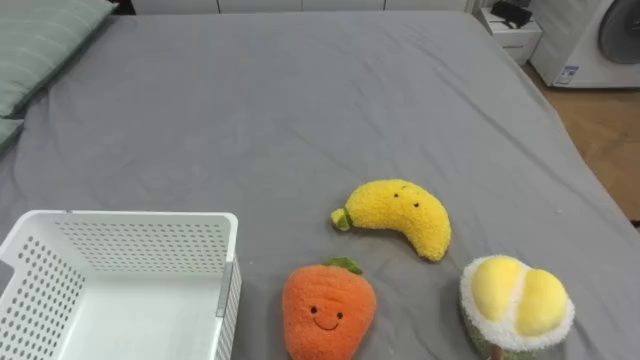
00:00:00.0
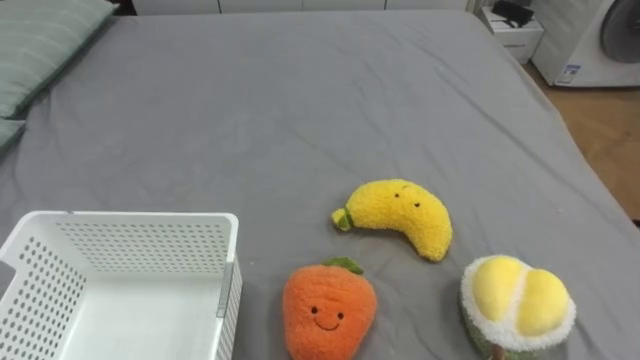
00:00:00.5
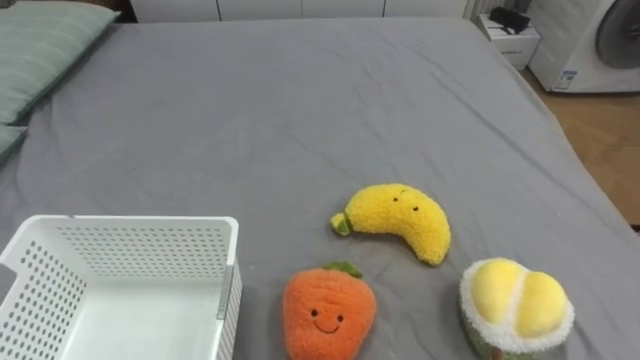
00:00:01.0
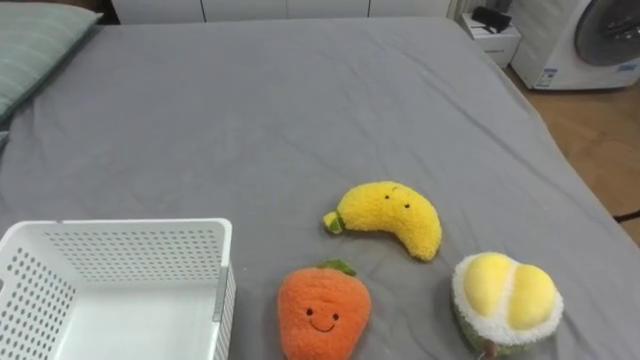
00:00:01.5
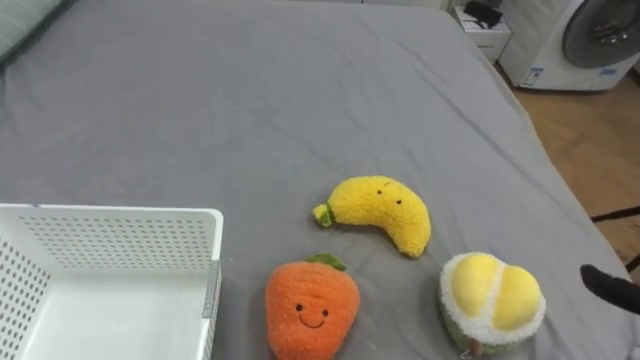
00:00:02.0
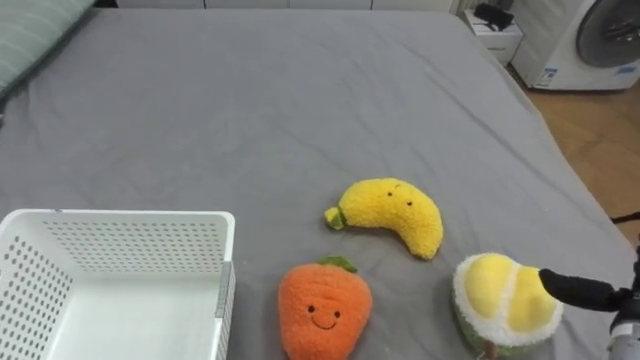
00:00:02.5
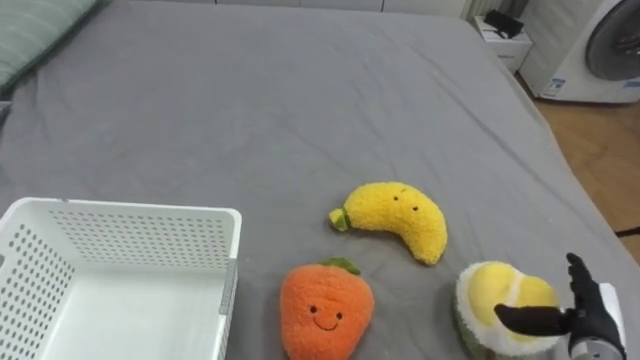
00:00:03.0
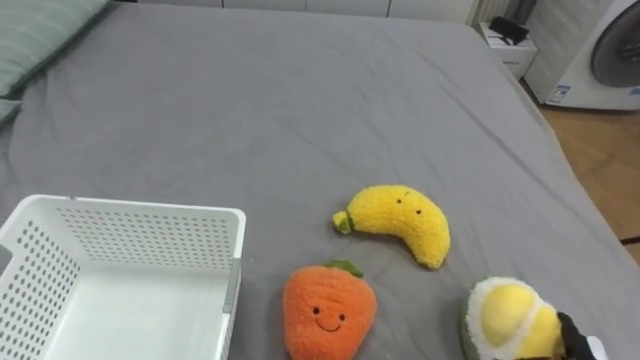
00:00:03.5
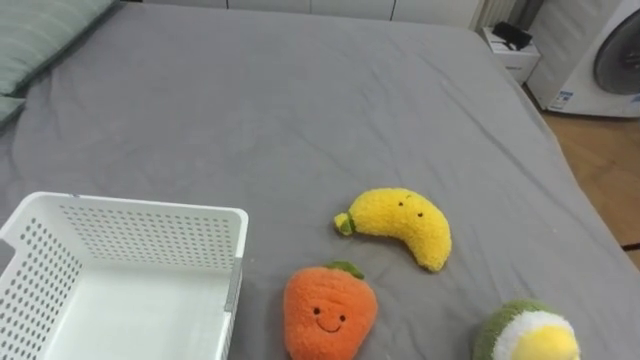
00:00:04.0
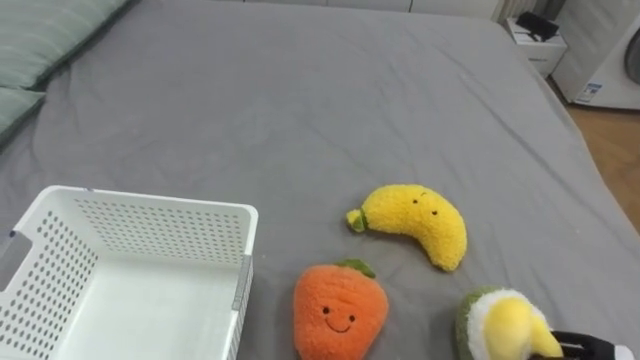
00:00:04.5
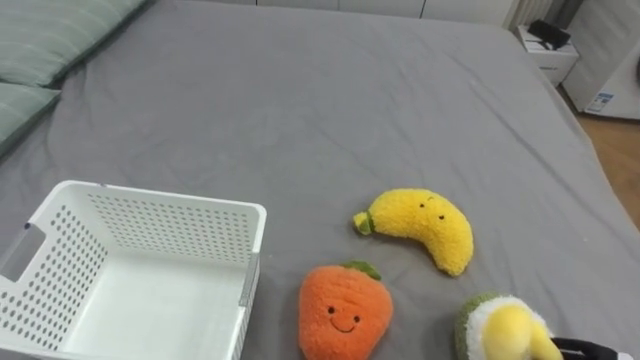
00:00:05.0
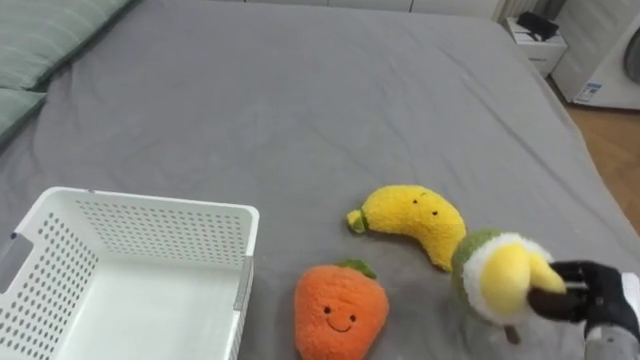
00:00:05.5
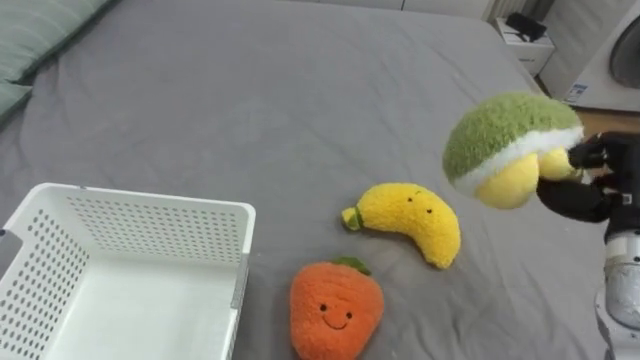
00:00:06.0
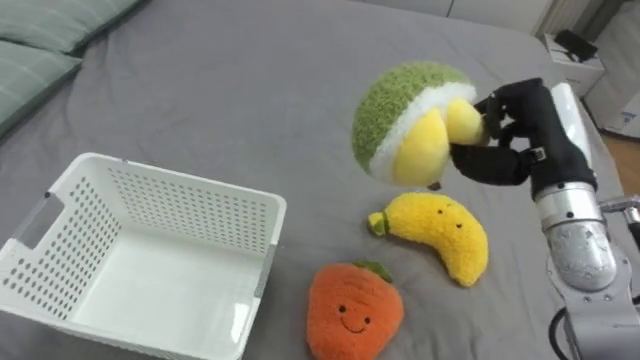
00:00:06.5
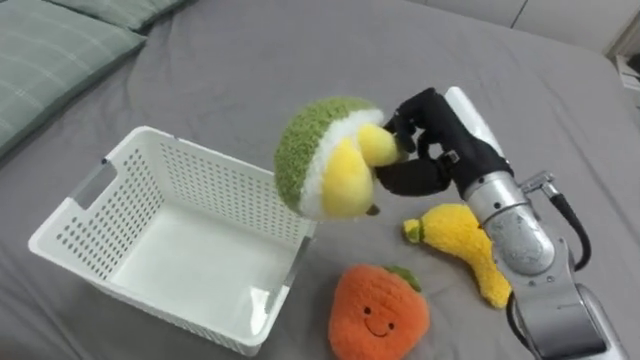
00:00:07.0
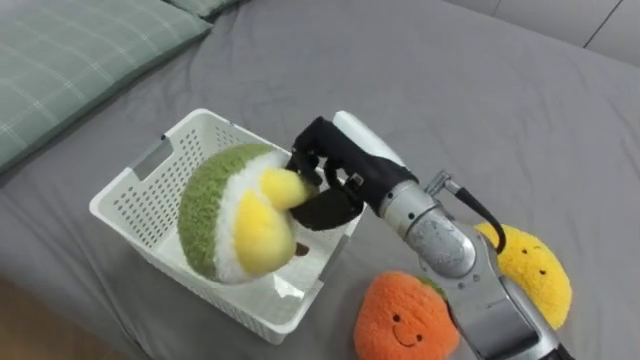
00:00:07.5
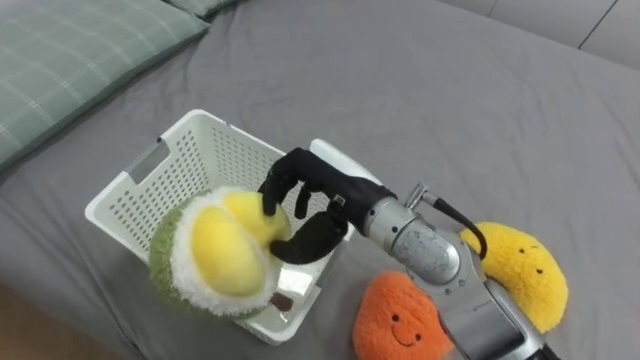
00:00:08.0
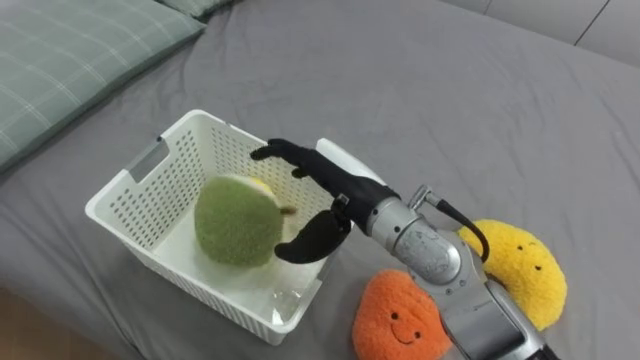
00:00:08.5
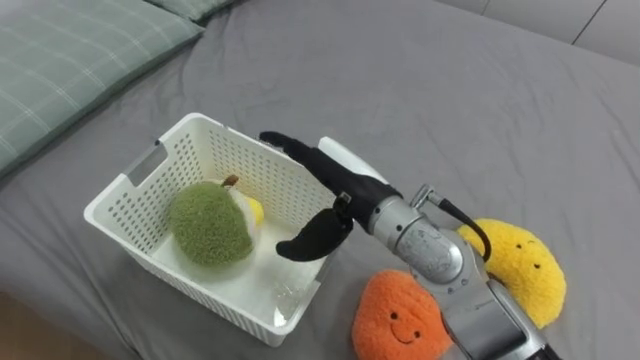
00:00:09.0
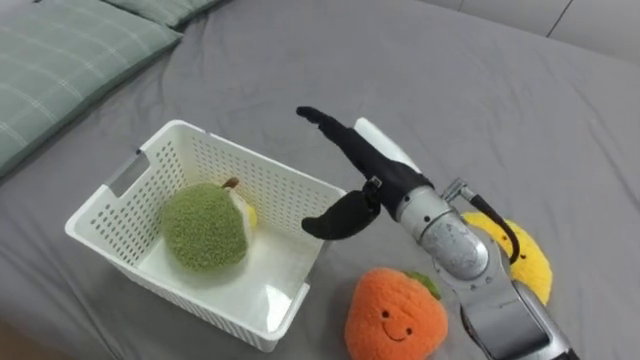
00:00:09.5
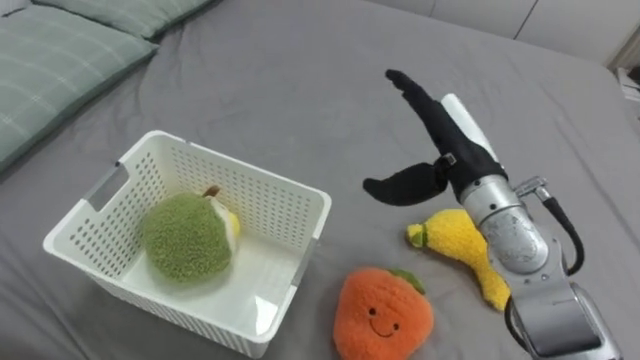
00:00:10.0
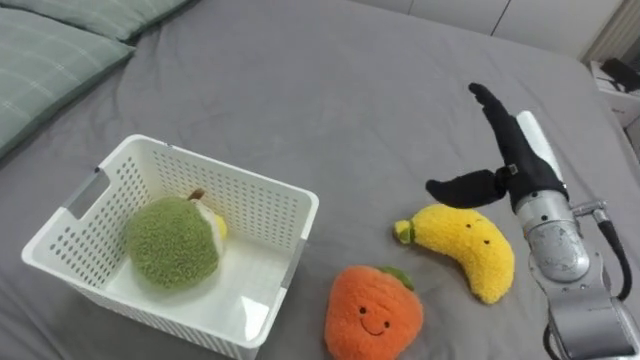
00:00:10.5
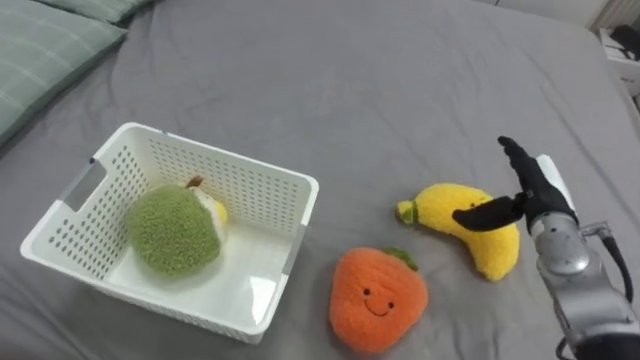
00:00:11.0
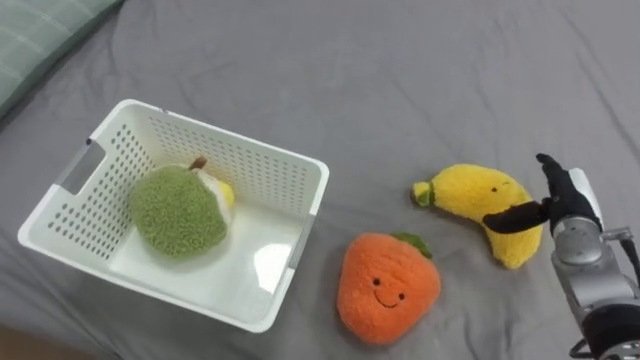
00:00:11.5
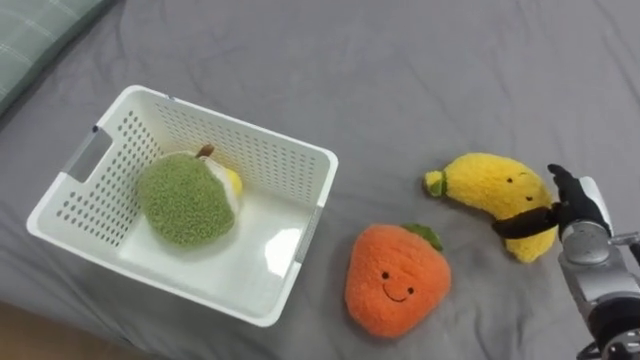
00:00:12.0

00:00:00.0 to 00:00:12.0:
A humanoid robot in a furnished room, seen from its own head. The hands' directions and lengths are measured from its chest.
Task of the whole recording: Put the toys on the bed into the basket on the left.
00:00:06.0 to 00:00:08.0: The right hand moves to the left, approximately 30 cm.
00:00:08.0 to 00:00:10.0: The right hand is displaced to the right by about 15 cm, and opens its fingers.
00:00:10.0 to 00:00:12.0: The right hand travels to the right and downward by approximately 25 cm.

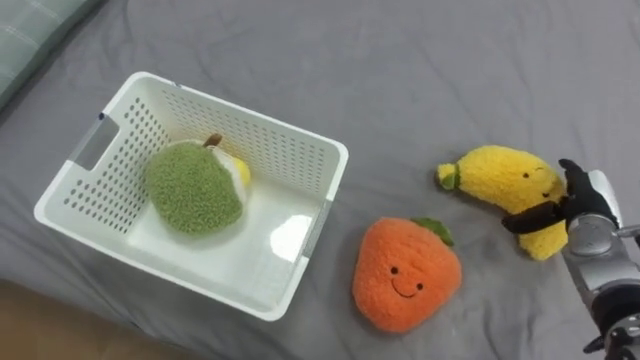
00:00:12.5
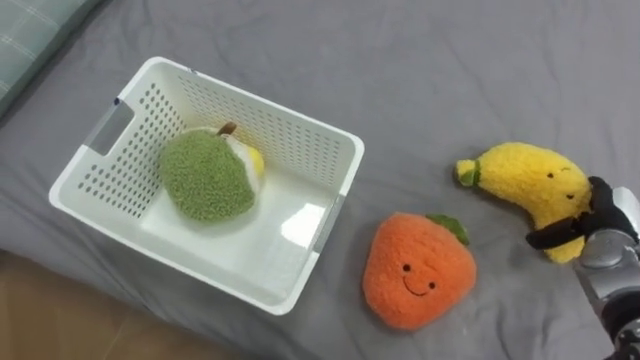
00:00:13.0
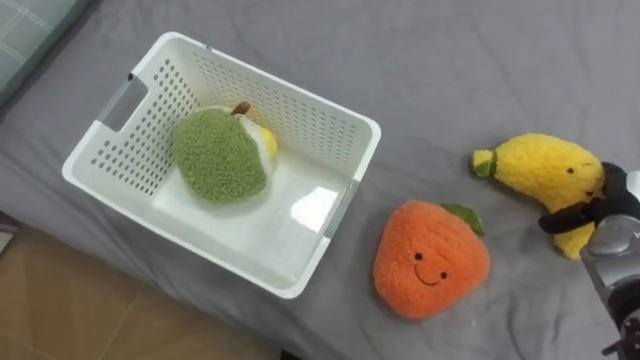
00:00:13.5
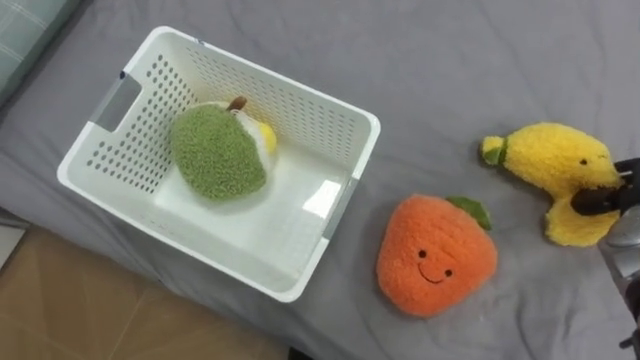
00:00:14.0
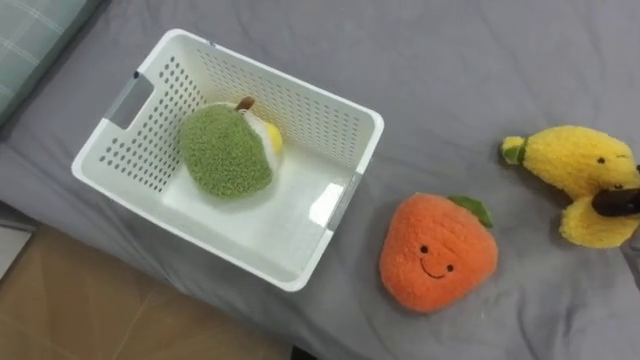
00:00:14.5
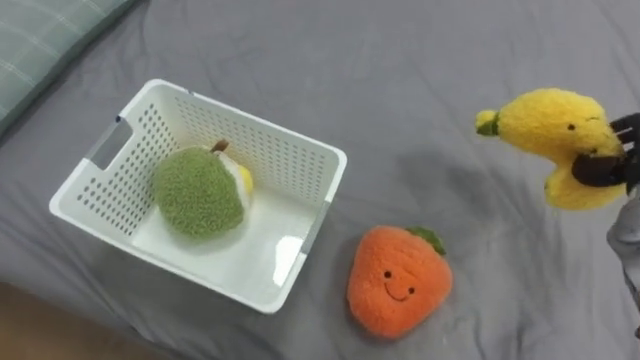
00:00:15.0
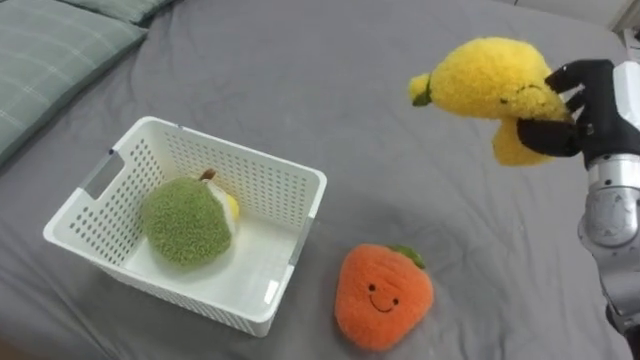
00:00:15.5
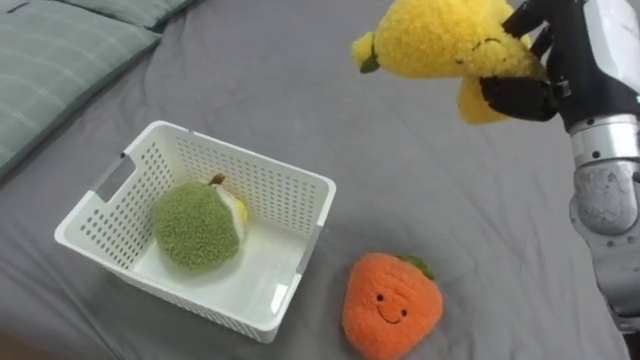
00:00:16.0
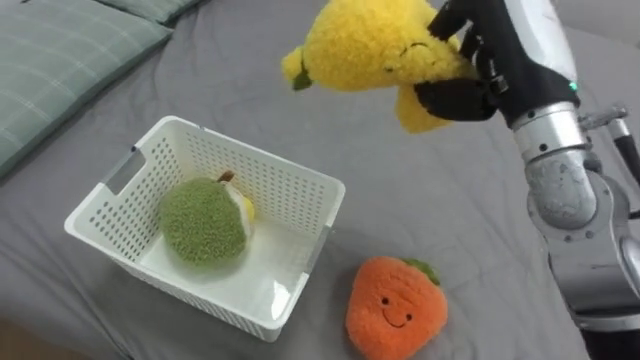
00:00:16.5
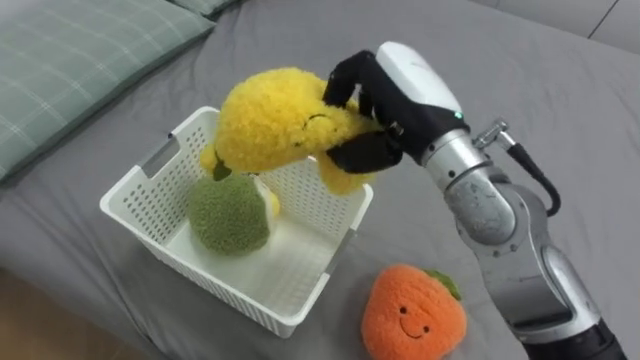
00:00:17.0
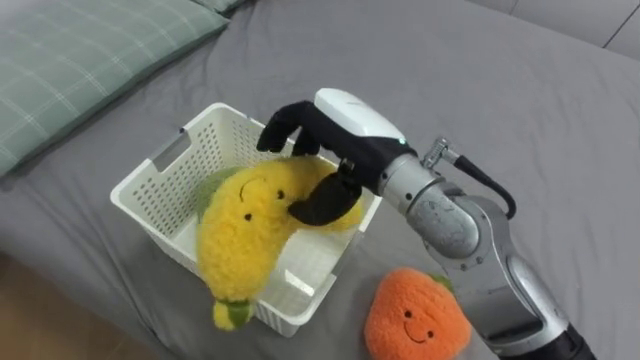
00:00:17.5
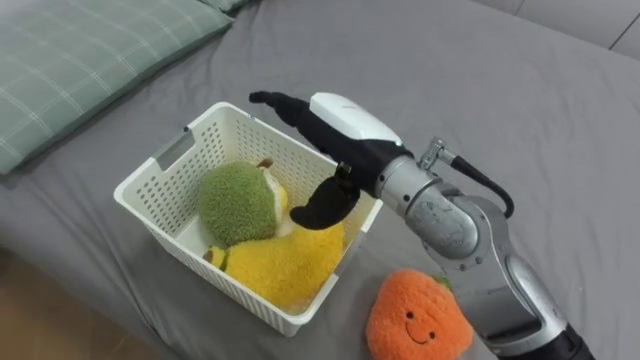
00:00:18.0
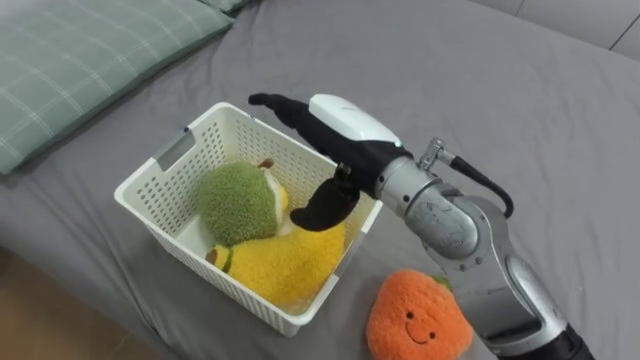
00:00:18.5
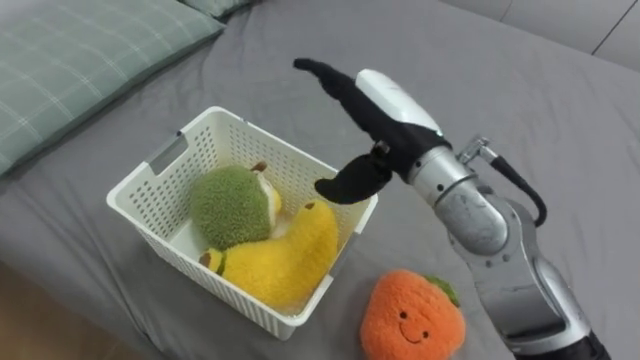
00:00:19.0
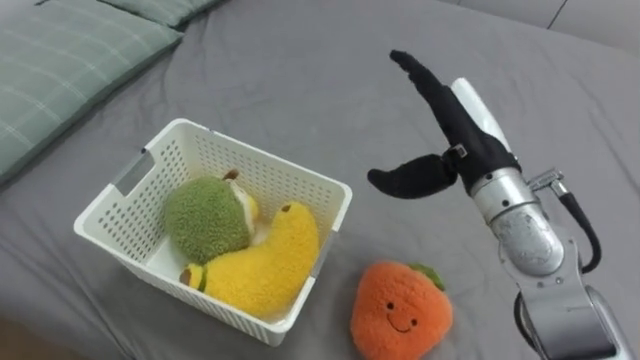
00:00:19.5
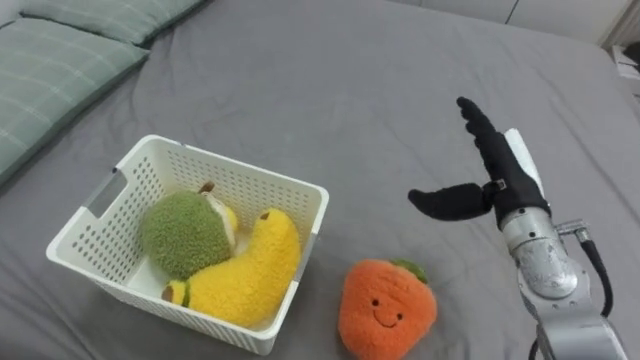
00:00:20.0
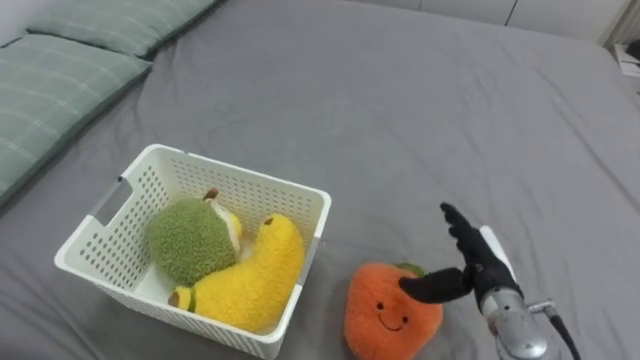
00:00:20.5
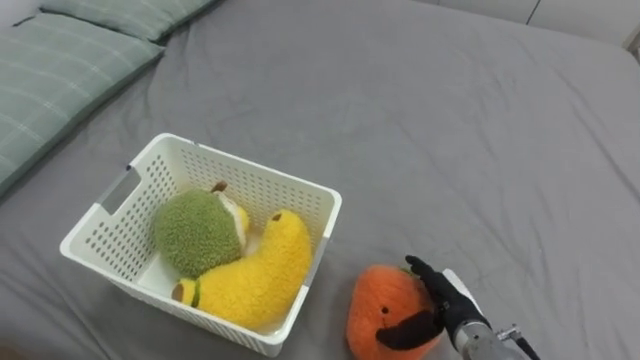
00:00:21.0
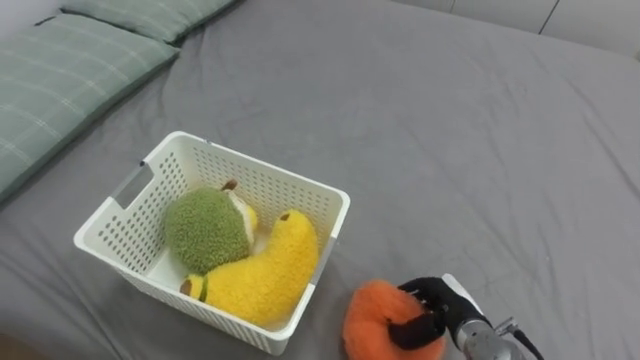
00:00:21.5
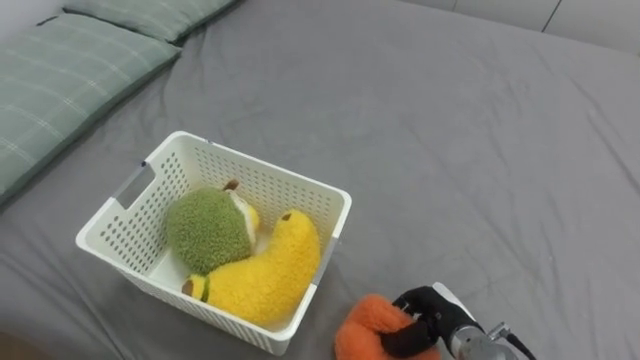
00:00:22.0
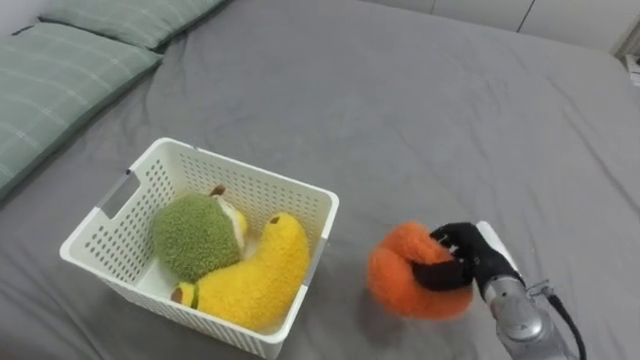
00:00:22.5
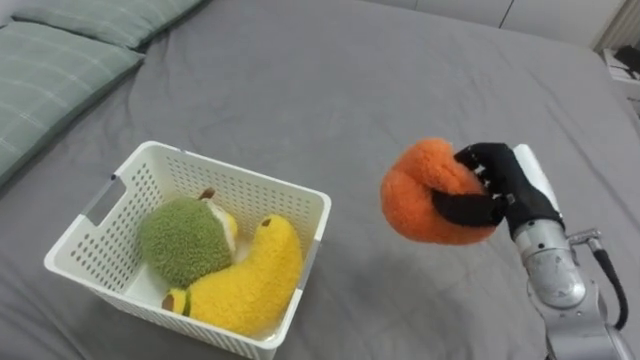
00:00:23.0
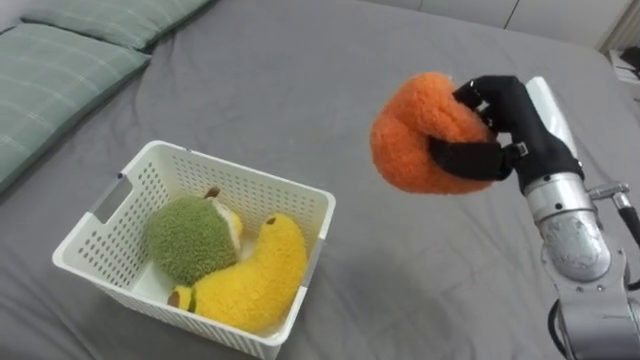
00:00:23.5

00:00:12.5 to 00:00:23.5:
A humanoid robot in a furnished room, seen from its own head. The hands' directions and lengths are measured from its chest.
Task of the whole recording: Put the toys on the bed into the basket on the left.
00:00:16.0 to 00:00:18.0: The right hand shifts about 20 cm to the left, and opens its fingers.
00:00:18.0 to 00:00:20.0: The right hand is displaced to the right and downward by about 20 cm.
00:00:20.0 to 00:00:21.5: The right hand shifts some 20 cm downward and backward, and closes up.
00:00:21.5 to 00:00:23.5: The right hand moves upward, about 25 cm.
